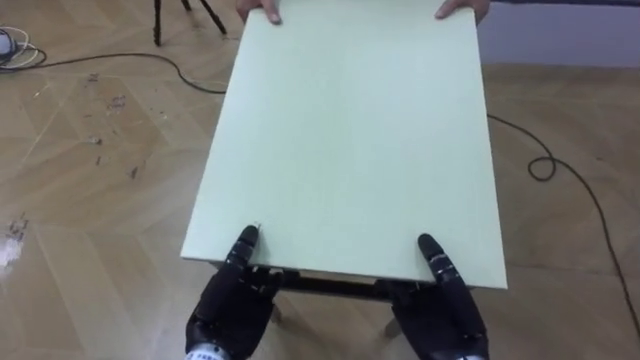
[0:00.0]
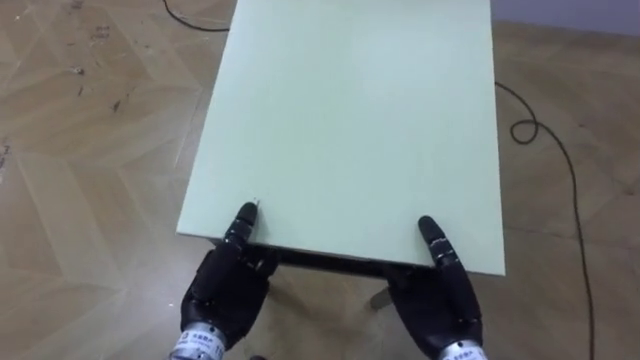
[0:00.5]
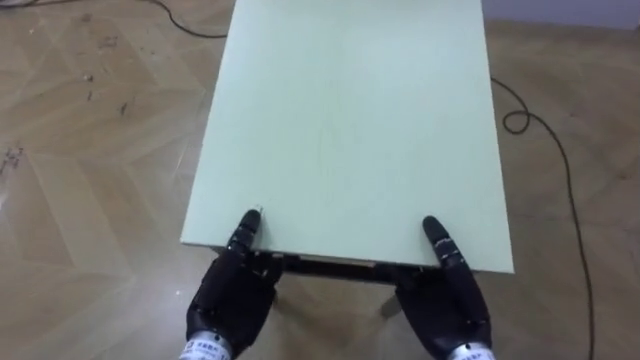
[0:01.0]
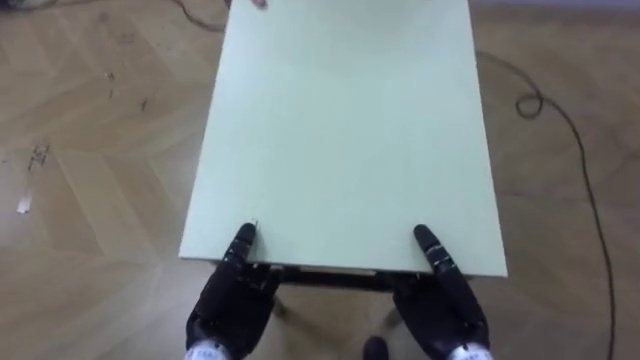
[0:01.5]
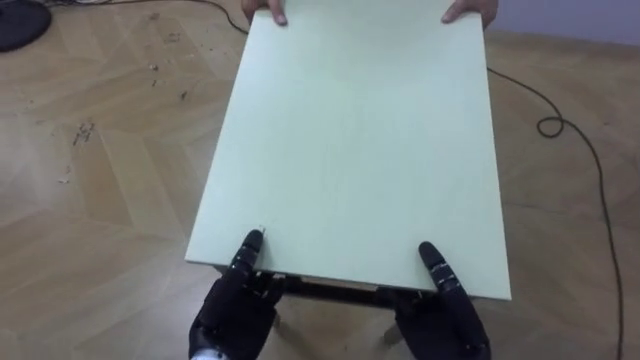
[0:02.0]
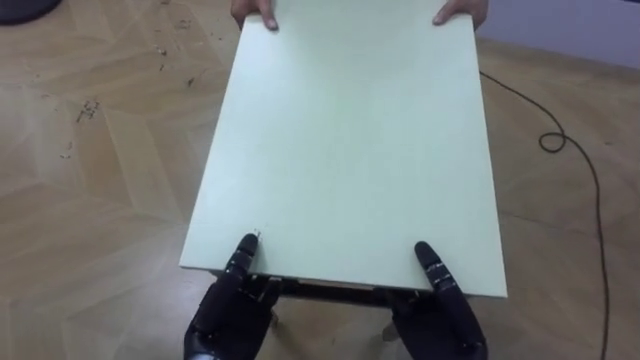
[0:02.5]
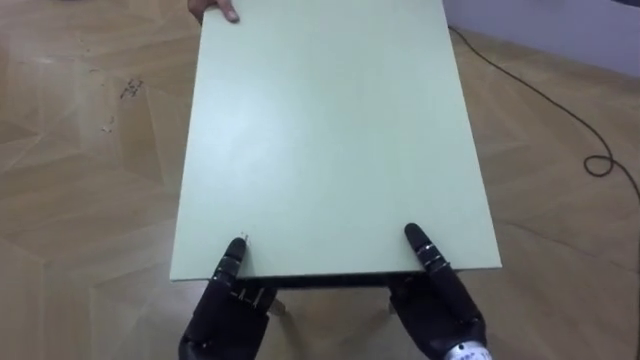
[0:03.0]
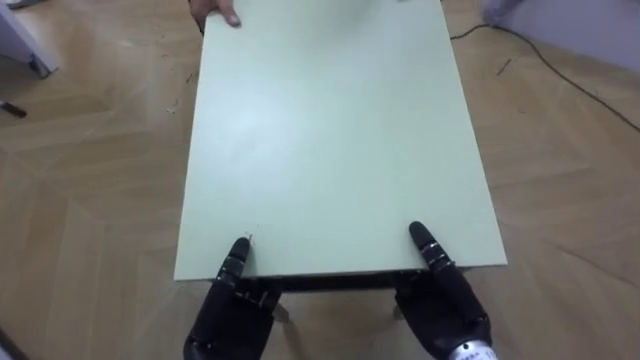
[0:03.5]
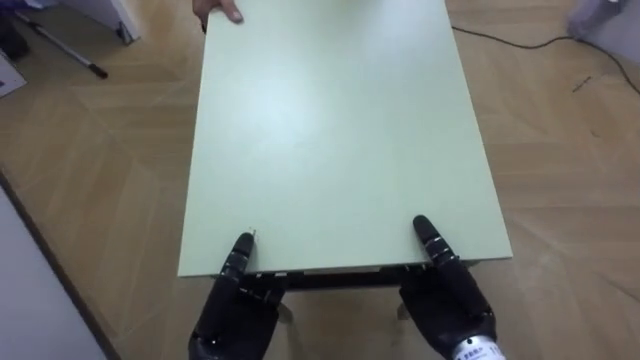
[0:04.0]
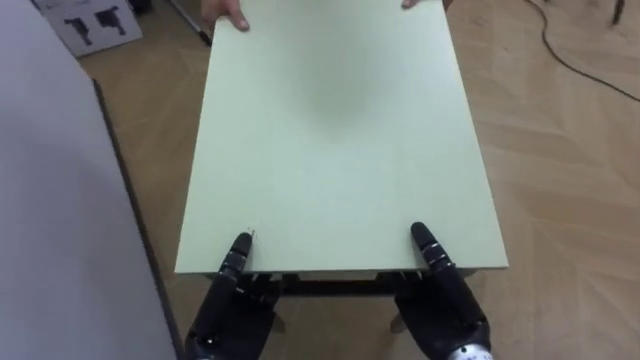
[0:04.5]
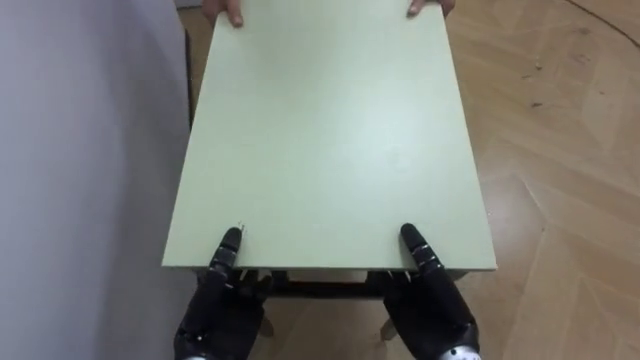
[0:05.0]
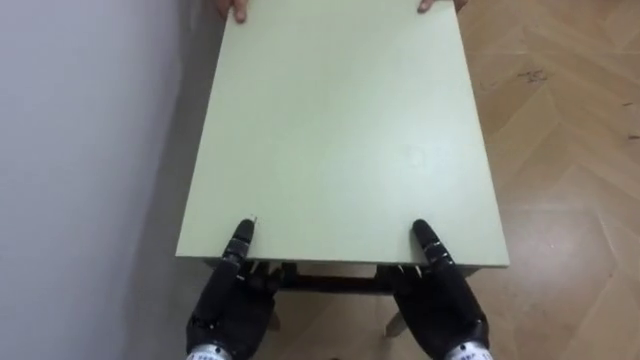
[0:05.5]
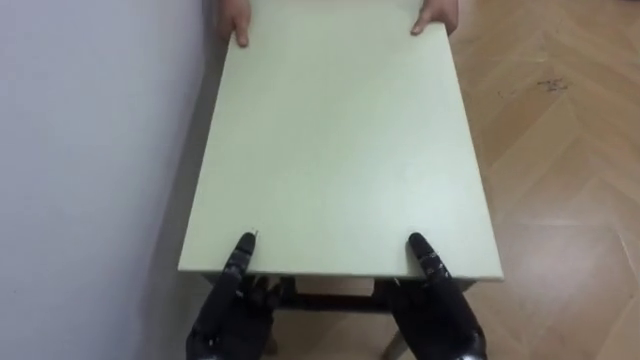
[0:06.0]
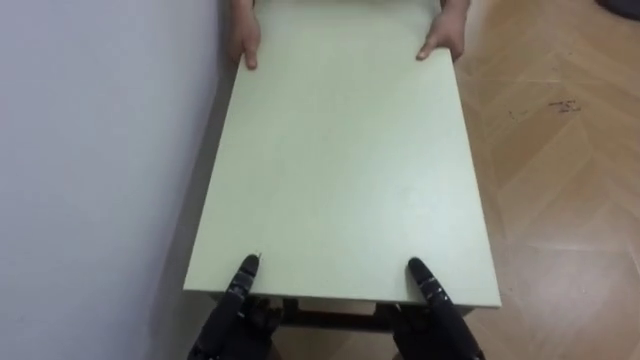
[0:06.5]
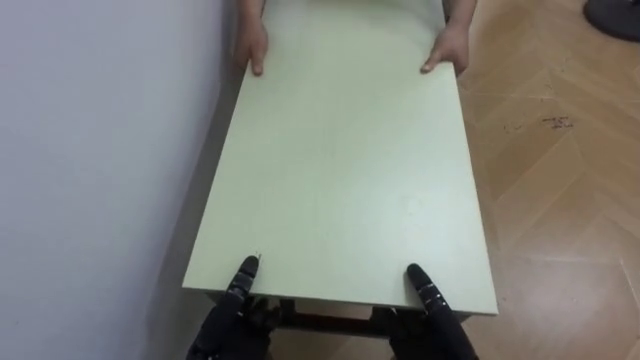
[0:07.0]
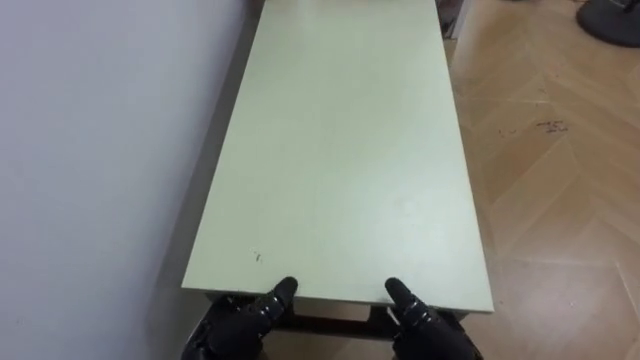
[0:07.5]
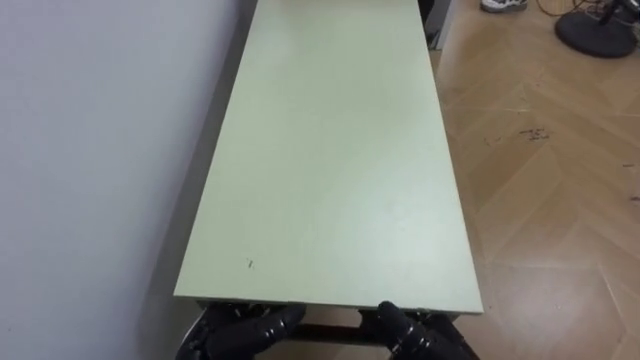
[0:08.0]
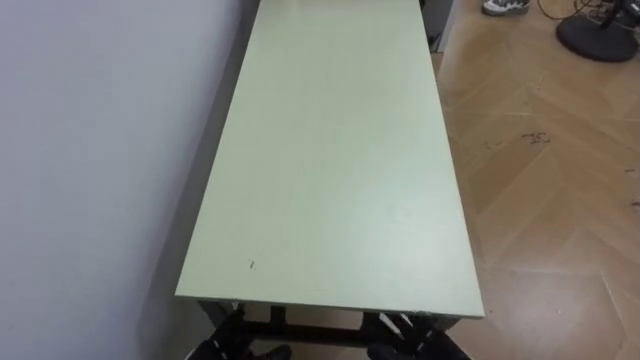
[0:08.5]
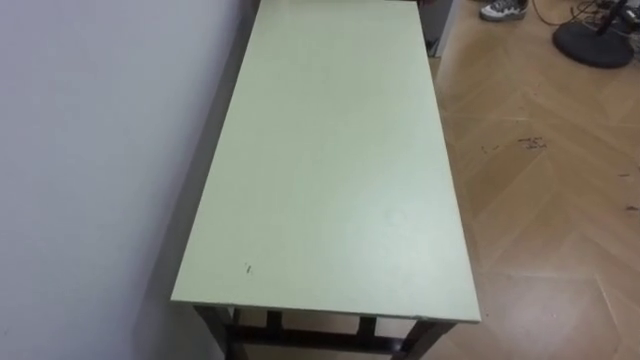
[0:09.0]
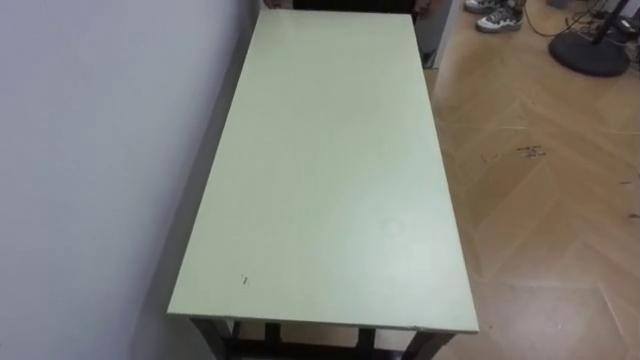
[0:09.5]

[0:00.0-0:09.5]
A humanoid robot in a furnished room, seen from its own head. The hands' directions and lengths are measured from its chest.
Task of the whole recording: Move the table to the back left with someone.
0:02.0 to 0:04.0: The robot faces some 30 degrees further to its left.
0:04.0 to 0:05.5: The robot faces about 45 degrees further to its left.
0:05.5 to 0:07.5: The right hand changes place by approximately 5 cm.

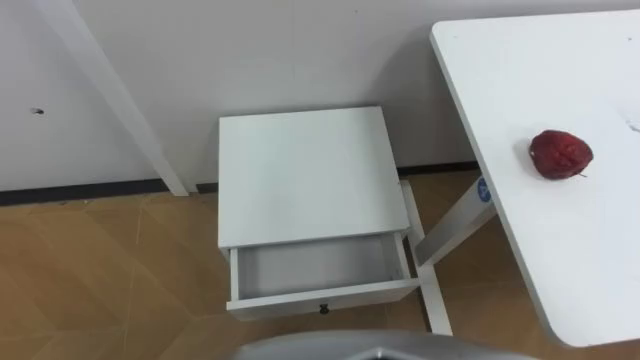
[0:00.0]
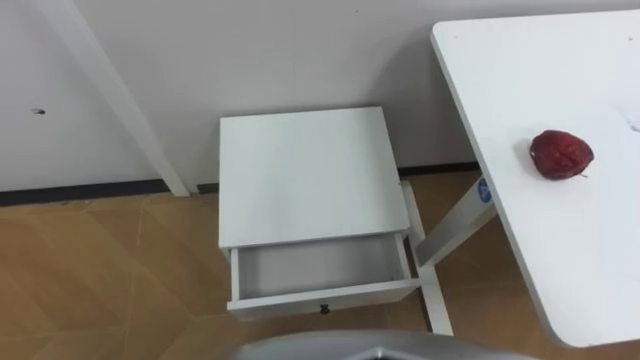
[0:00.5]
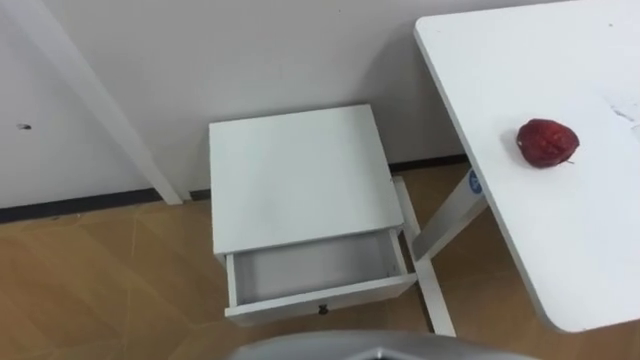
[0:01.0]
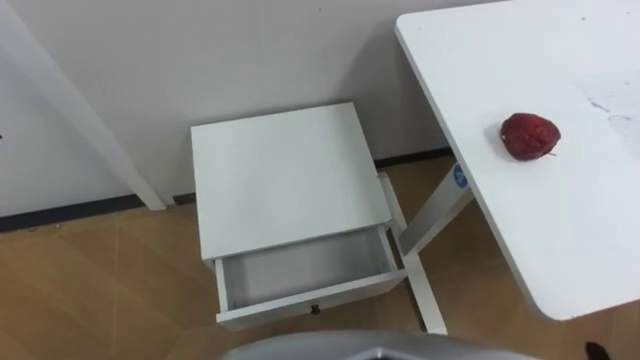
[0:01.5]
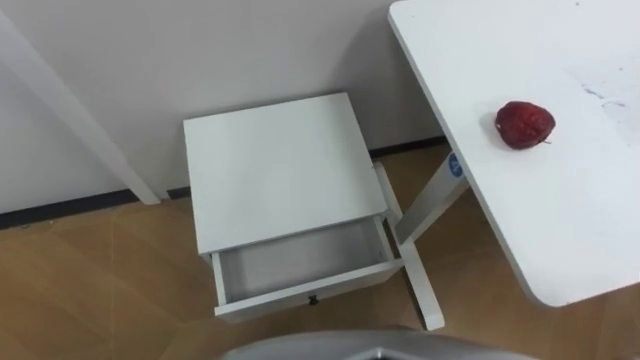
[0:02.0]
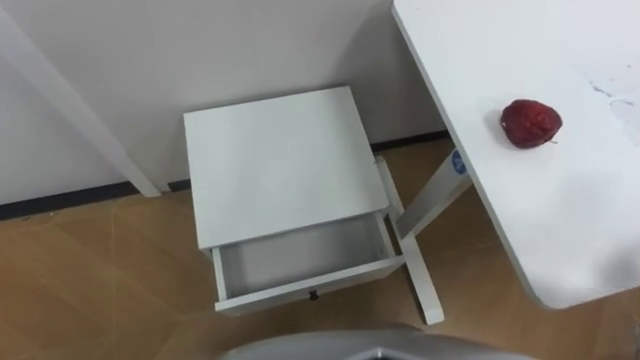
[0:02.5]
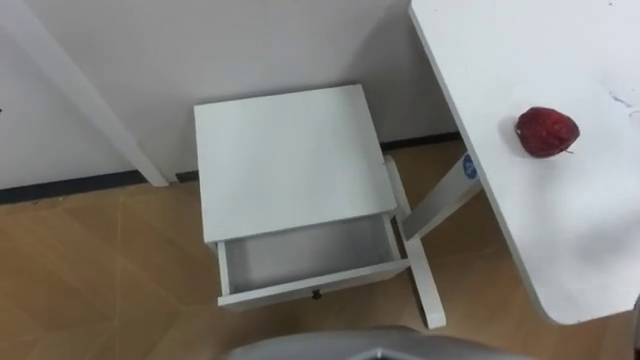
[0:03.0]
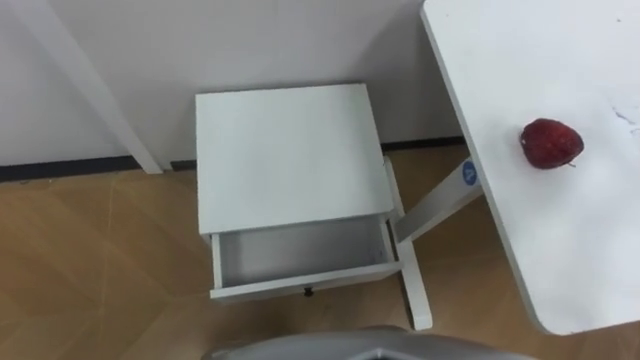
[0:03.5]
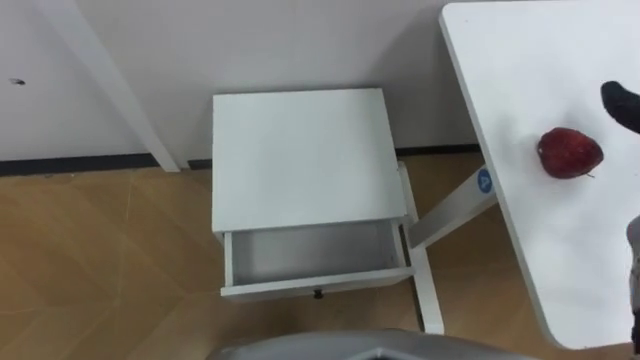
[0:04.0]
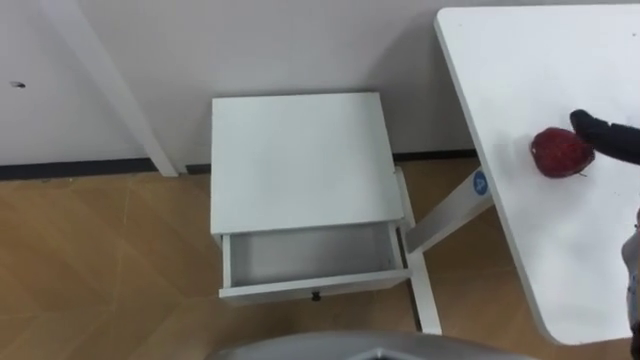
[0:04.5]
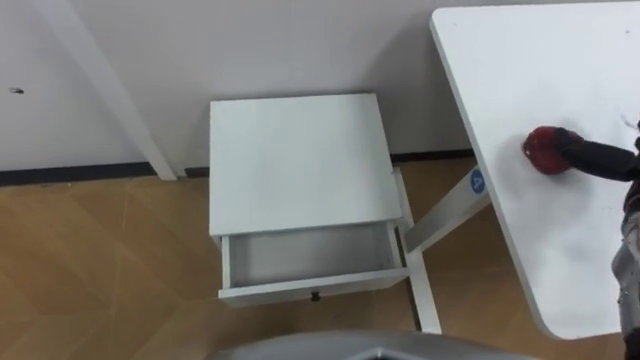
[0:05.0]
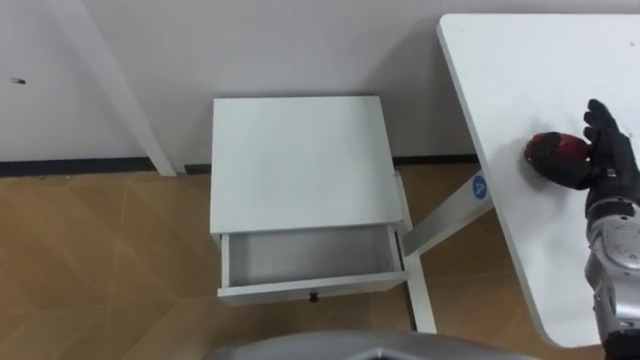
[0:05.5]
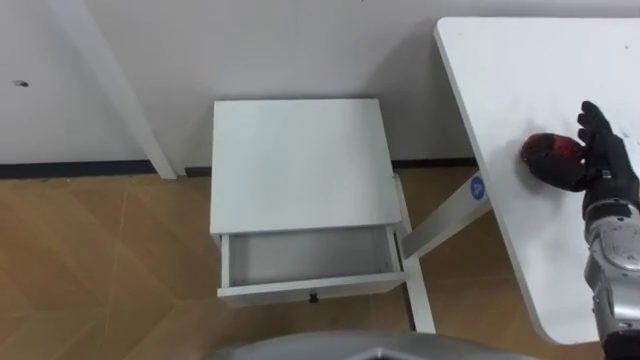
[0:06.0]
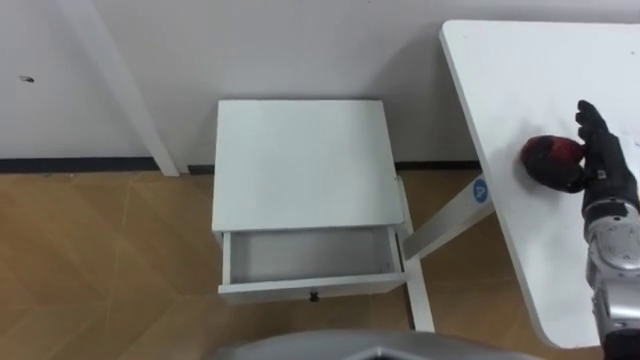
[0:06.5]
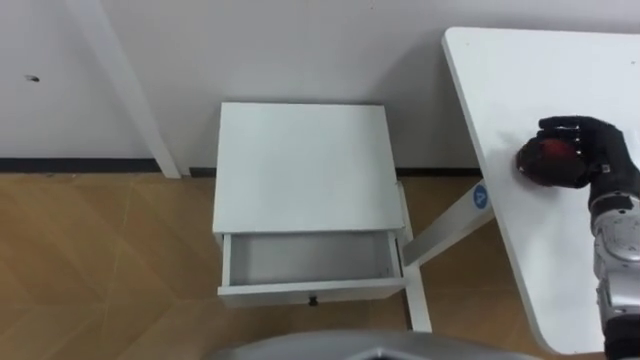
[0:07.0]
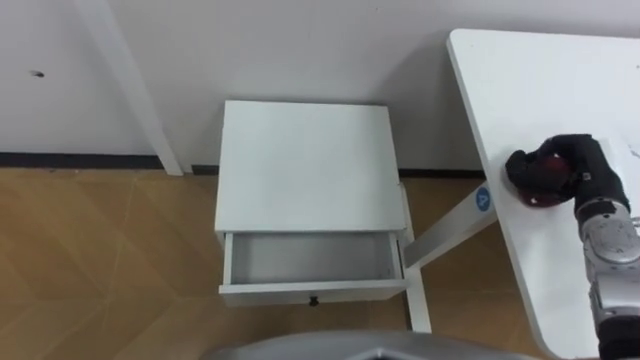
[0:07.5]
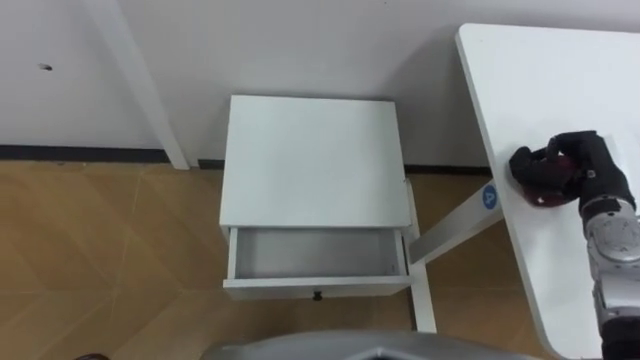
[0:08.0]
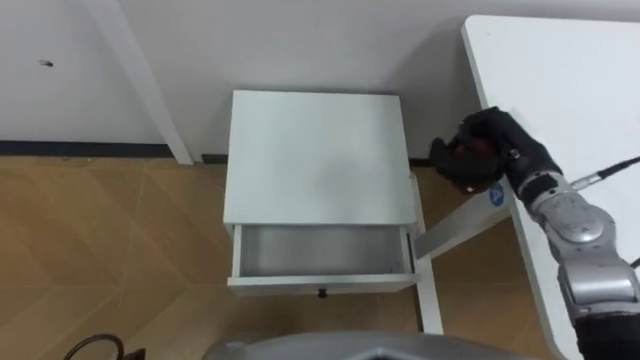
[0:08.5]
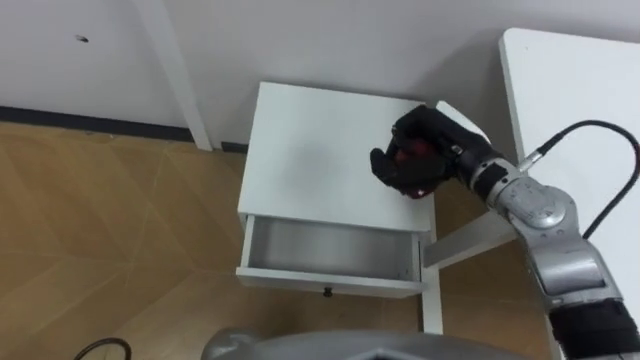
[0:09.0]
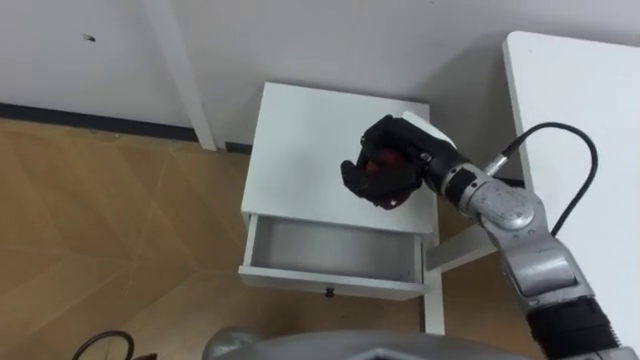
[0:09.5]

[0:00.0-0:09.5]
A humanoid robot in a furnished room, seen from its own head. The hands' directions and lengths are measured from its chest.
Task of the whole recording: Pick up the apple from the table, put it in the drawer, and close the drawer with leg.
0:05.5 to 0:07.5: The right hand closes.
0:07.5 to 0:09.5: The right hand goes roughly 20 cm to the left.

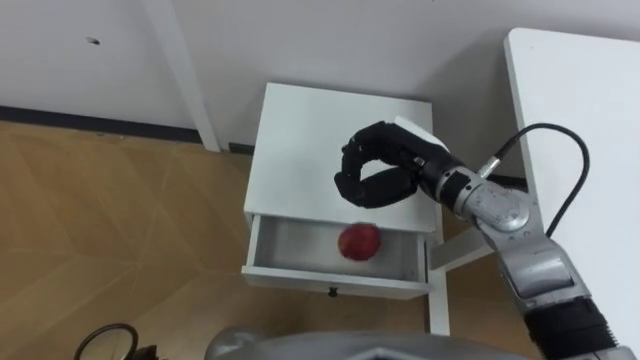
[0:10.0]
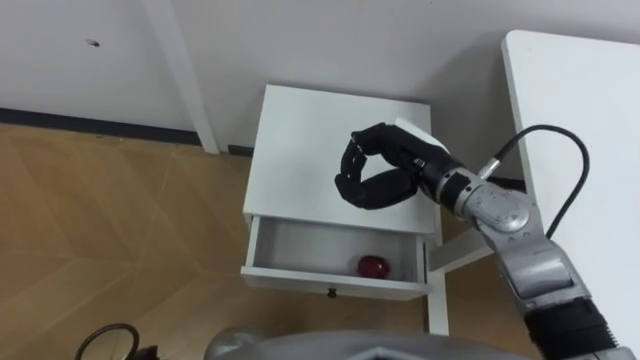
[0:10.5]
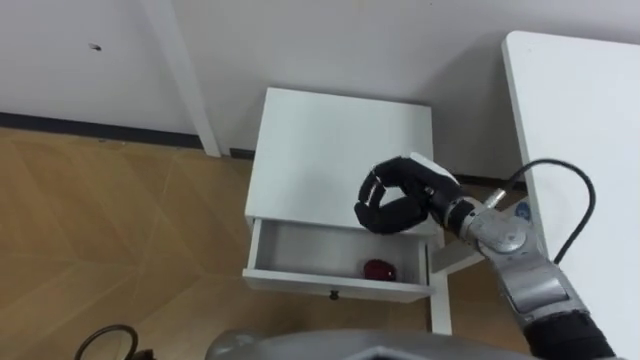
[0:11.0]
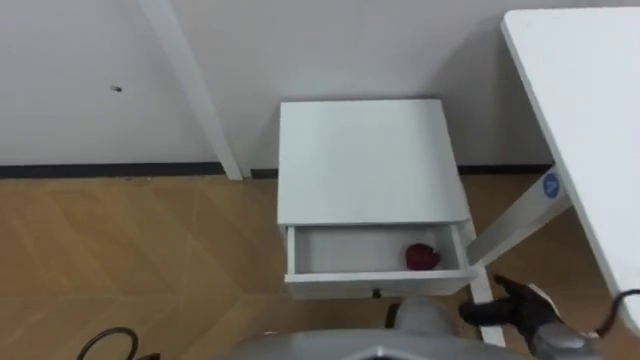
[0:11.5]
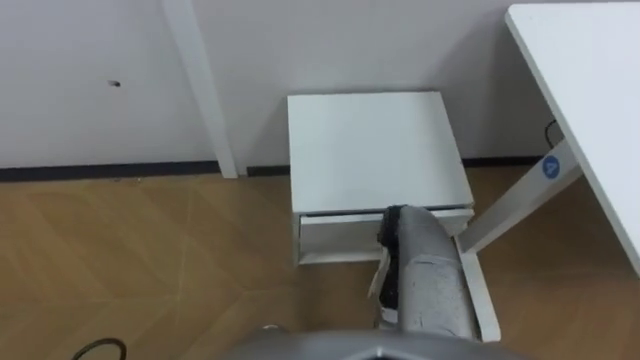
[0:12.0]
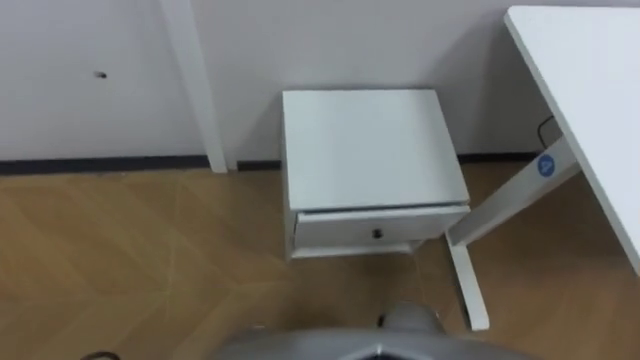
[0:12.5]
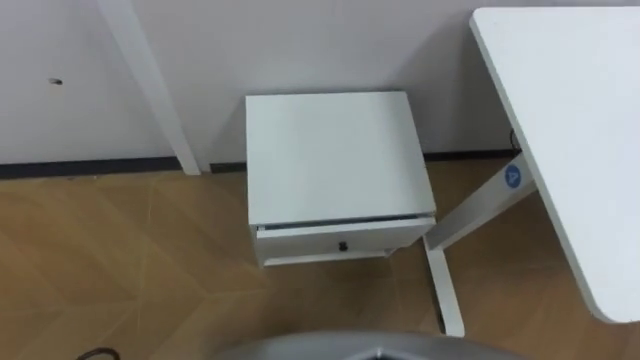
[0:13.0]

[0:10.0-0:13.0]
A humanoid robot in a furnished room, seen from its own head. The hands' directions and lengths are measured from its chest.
Task of the whole recording: Pick up the apple from the table, put it in the drawer, and close the drawer with leg.
0:10.0 to 0:11.5: The right hand shifts approximately 30 cm downward, backward and to the right.
